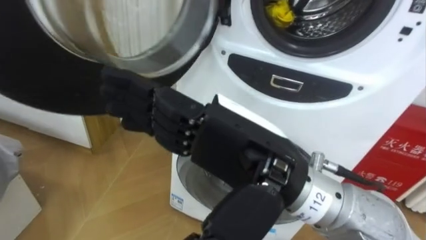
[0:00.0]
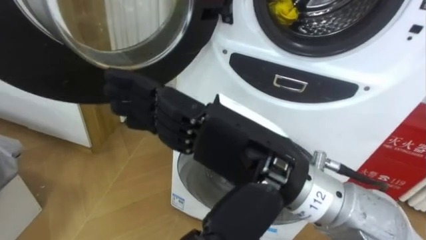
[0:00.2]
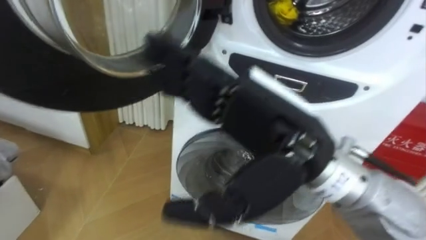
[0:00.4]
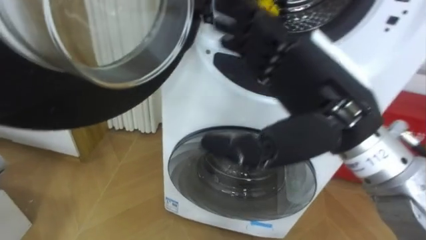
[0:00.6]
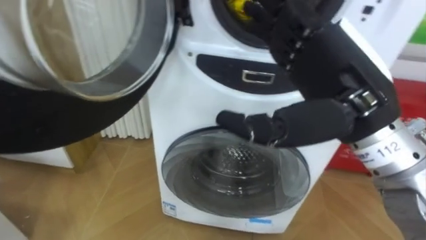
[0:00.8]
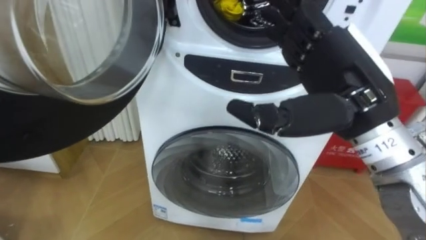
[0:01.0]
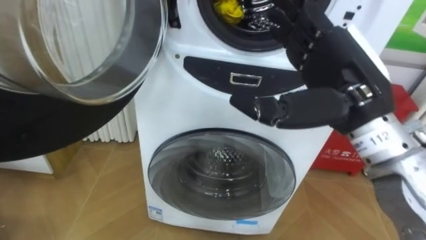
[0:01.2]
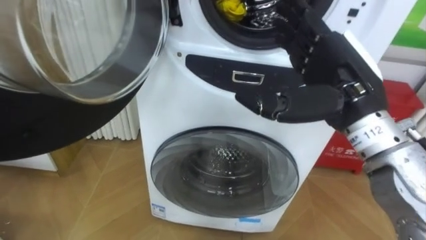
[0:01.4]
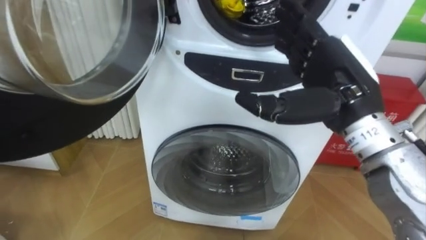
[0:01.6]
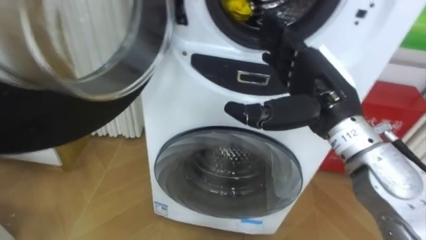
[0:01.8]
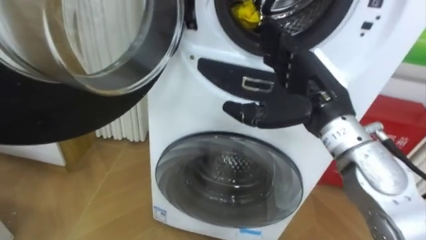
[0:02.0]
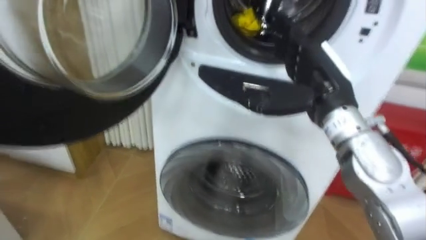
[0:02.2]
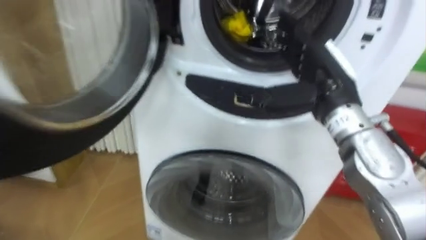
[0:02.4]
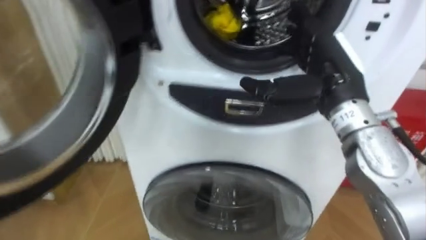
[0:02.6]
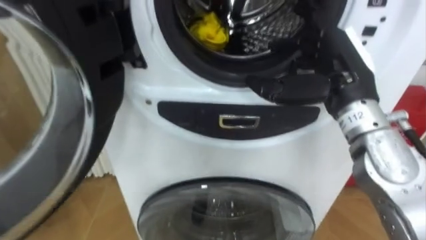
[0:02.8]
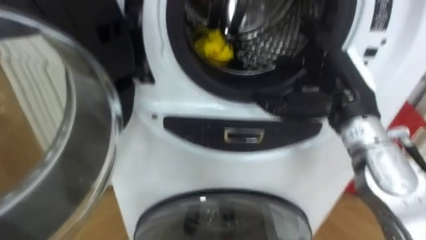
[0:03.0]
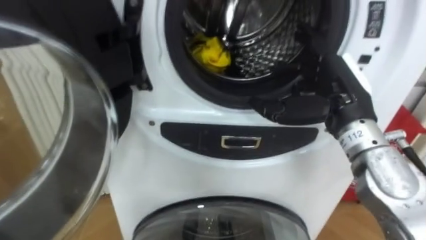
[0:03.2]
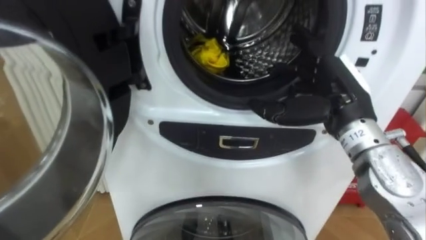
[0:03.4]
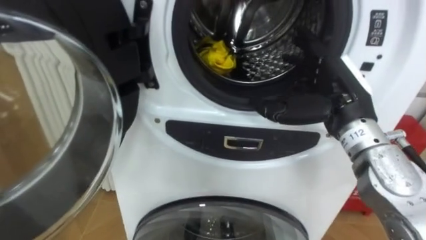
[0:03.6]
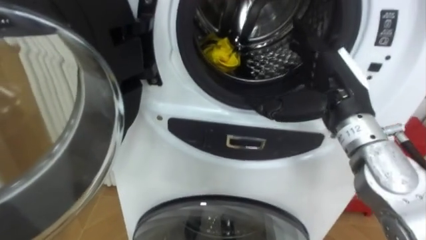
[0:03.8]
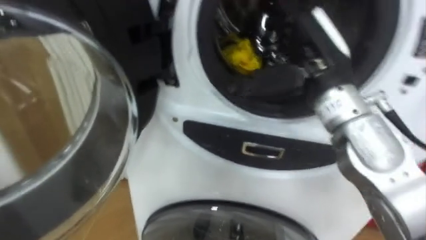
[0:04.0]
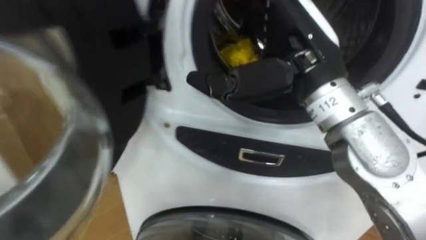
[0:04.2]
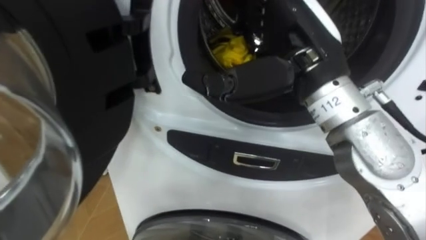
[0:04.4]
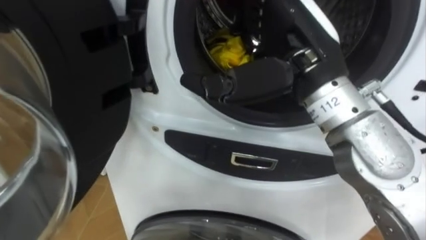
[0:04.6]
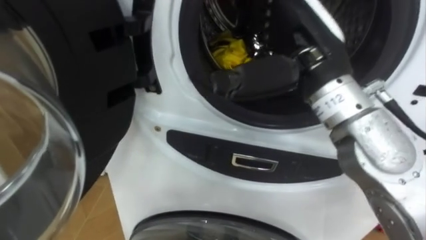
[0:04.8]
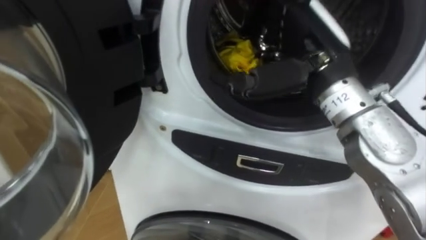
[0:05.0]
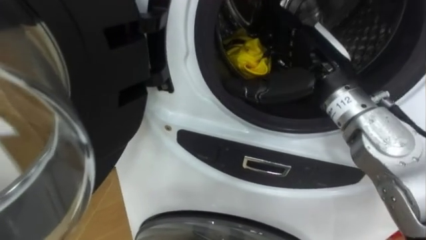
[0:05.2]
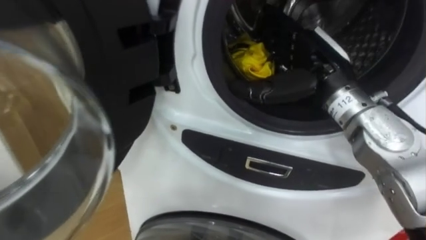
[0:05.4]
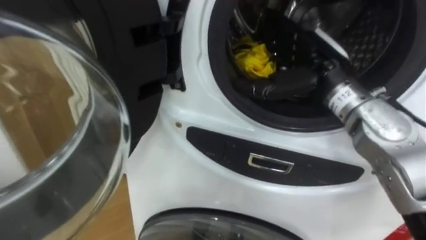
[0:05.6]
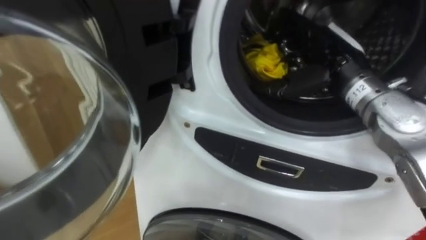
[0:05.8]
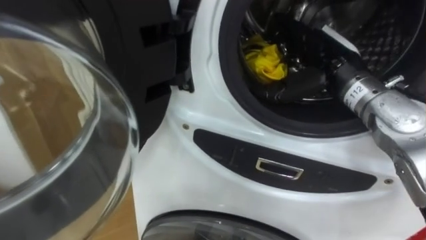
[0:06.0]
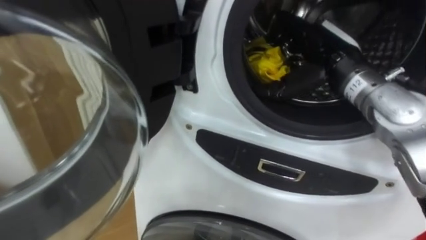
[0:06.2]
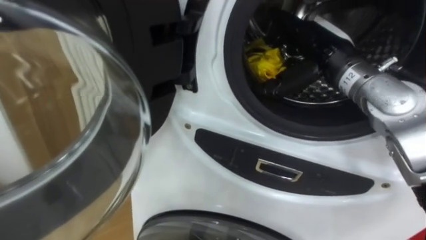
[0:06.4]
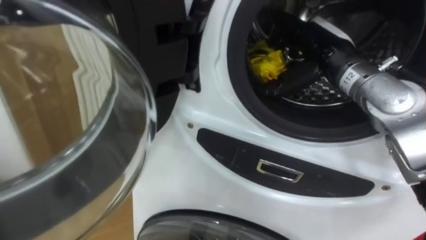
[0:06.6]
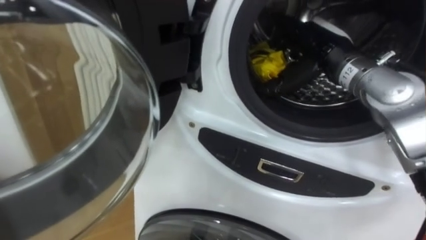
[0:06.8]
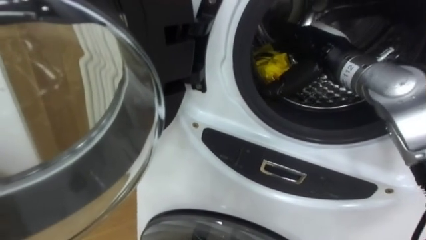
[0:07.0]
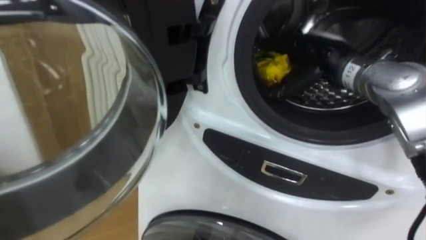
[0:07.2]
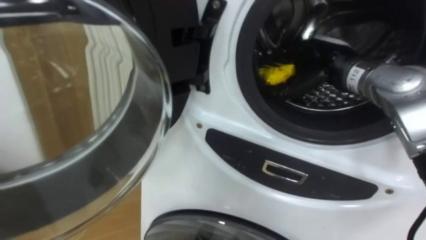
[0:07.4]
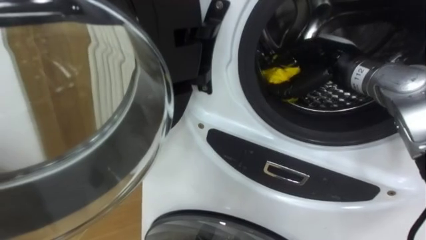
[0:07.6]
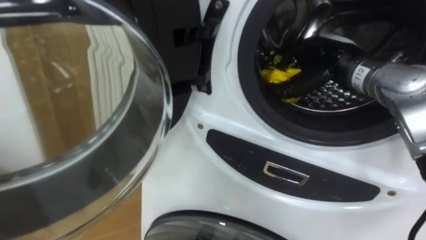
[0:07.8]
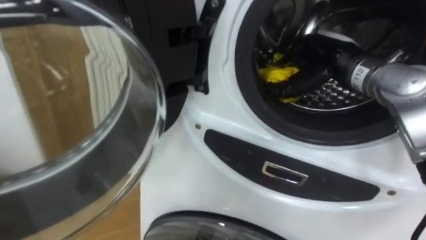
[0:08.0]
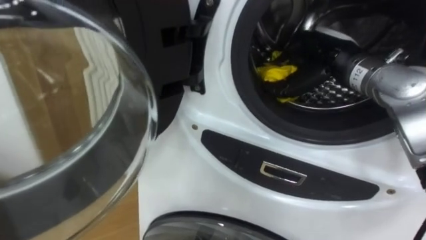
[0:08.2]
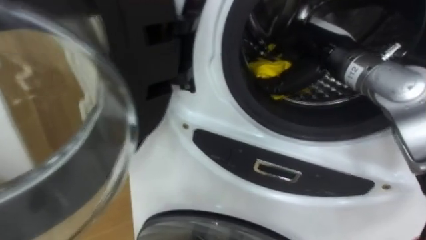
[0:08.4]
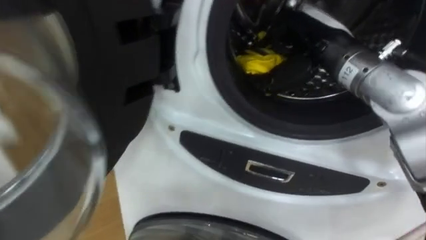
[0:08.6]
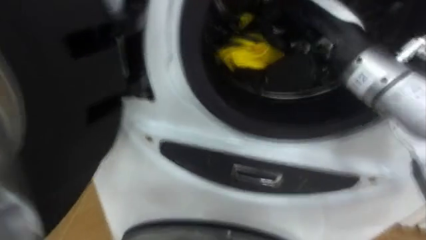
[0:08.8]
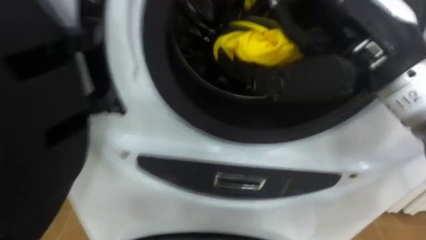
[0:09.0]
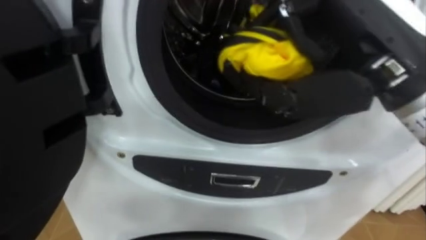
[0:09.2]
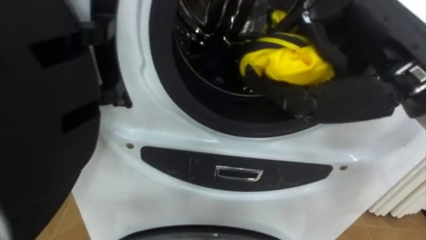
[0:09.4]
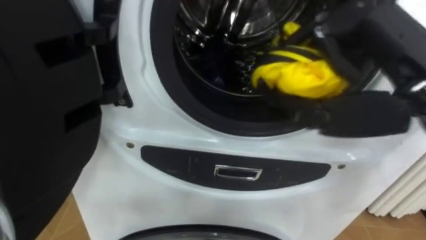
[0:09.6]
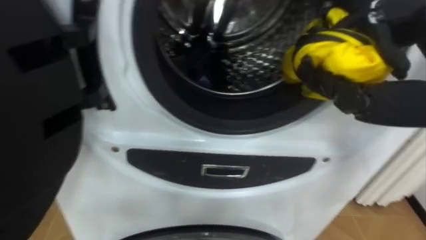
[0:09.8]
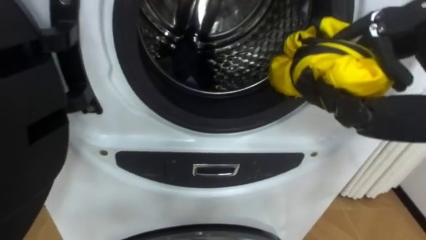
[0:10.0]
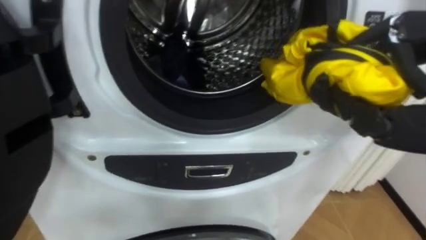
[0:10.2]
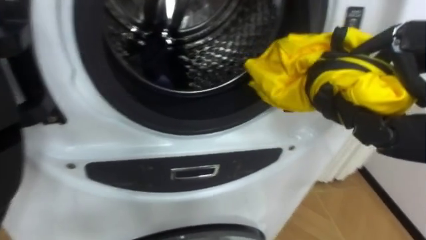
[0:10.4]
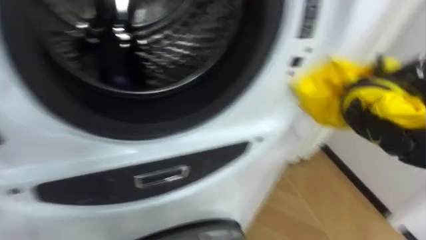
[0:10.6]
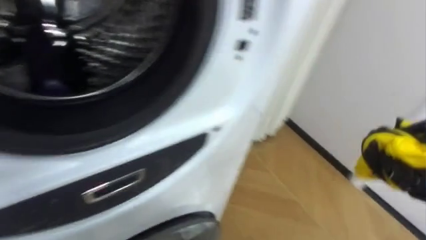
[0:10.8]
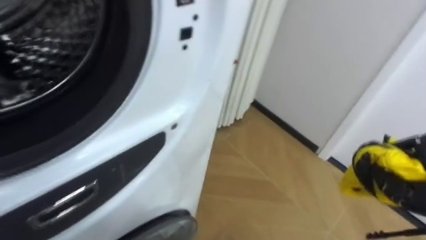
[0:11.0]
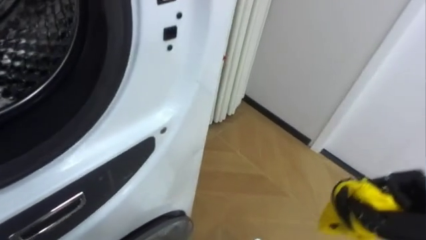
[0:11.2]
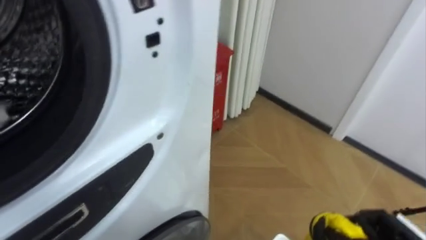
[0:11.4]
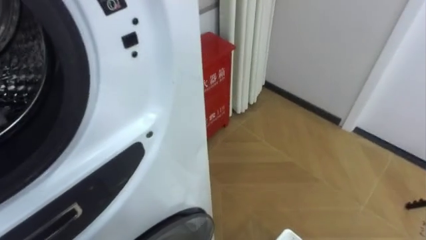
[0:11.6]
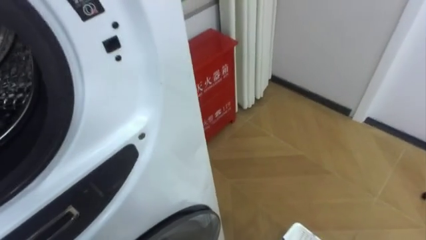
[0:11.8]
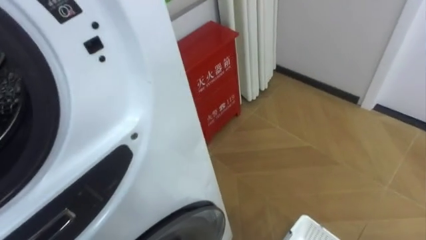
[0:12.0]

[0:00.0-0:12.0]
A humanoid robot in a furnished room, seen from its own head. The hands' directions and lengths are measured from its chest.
Task of the whole recording: Open the washing machine door, take out the yellow clothes, place them in the box on the right, and close the washing machine door.
0:00.0 to 0:01.6: The right hand travels to the right and forward by approximately 15 cm.
0:03.0 to 0:04.4: The right hand shifts about 15 cm to the left and upward.
0:04.4 to 0:06.0: The right hand is displaced forward, to the right and downward by about 15 cm.
0:06.0 to 0:07.6: The right hand changes place by about 5 cm, and closes its fingers.
0:07.6 to 0:09.0: The right hand goes roughly 20 cm backward and upward.
0:10.4 to 0:12.0: The robot's body swings approximately 25 degrees to its right.

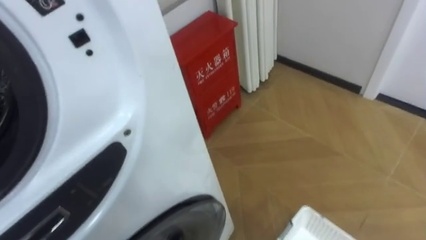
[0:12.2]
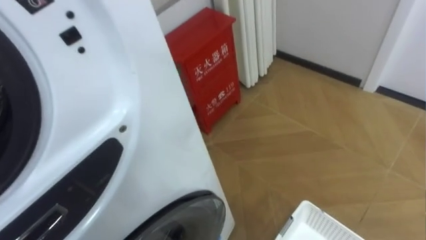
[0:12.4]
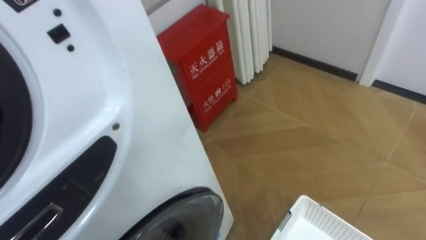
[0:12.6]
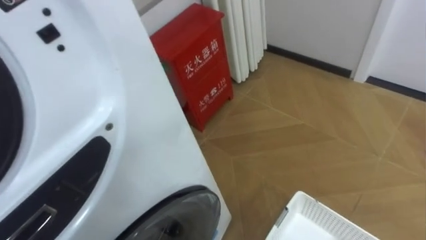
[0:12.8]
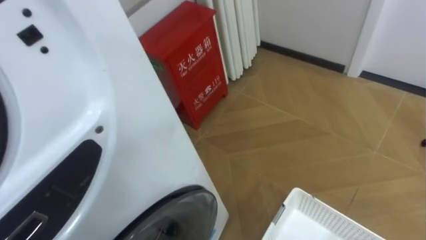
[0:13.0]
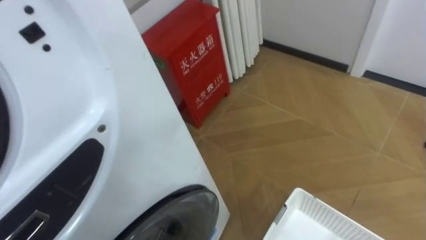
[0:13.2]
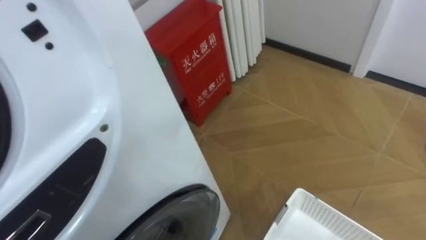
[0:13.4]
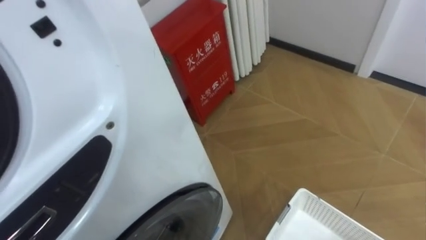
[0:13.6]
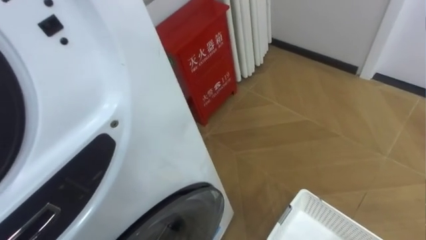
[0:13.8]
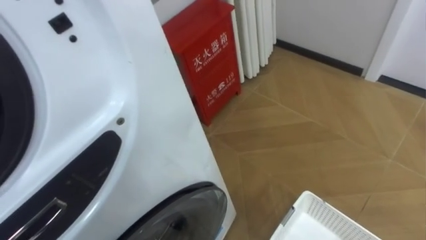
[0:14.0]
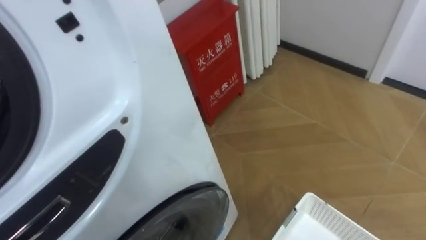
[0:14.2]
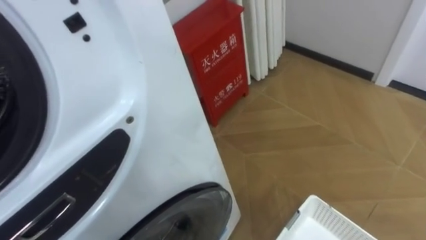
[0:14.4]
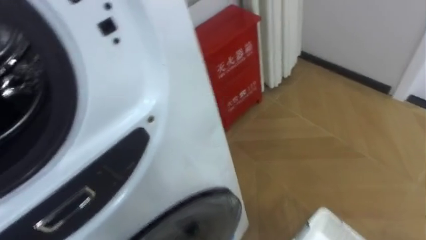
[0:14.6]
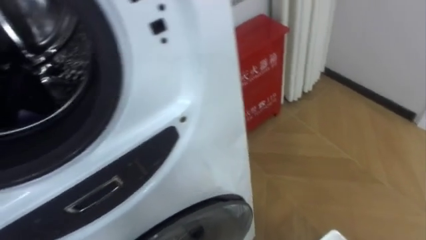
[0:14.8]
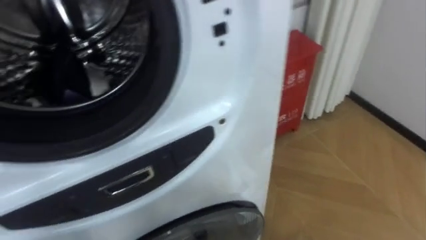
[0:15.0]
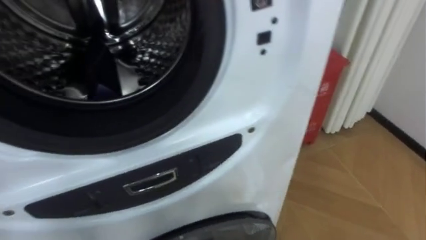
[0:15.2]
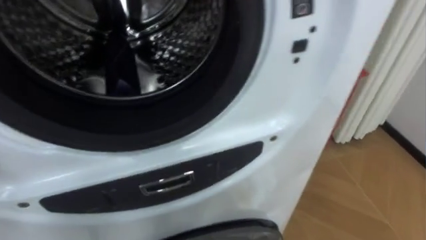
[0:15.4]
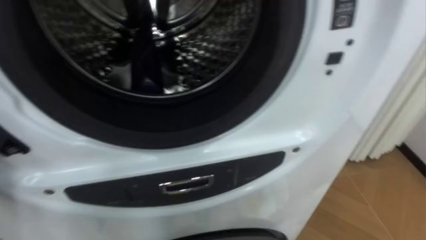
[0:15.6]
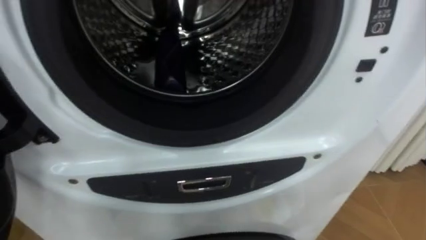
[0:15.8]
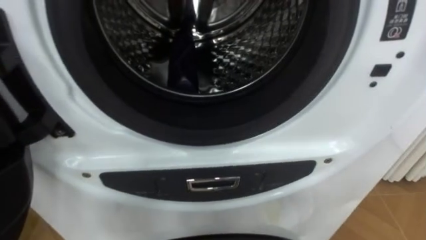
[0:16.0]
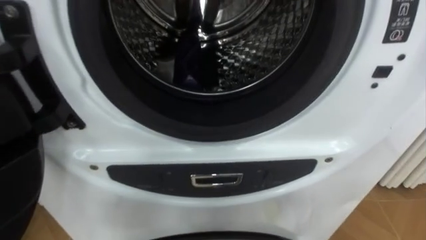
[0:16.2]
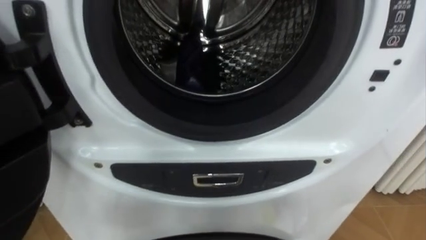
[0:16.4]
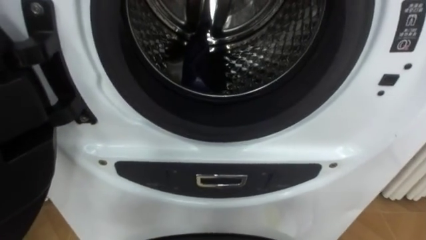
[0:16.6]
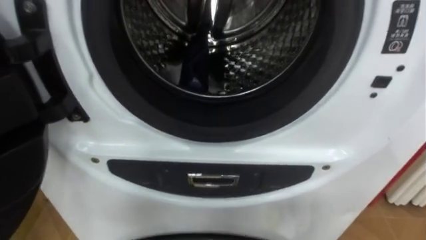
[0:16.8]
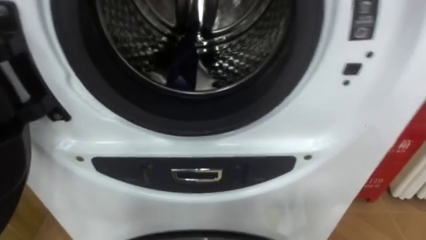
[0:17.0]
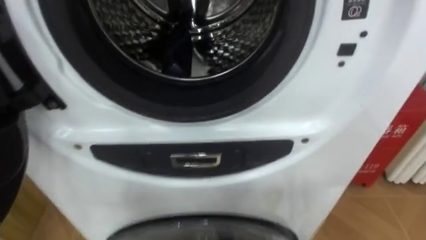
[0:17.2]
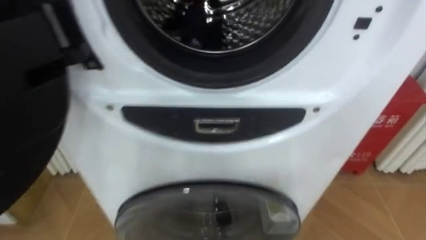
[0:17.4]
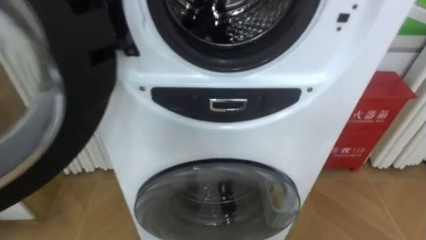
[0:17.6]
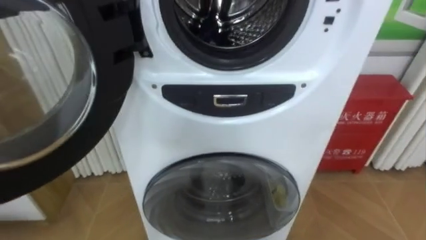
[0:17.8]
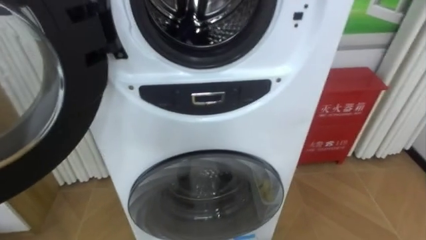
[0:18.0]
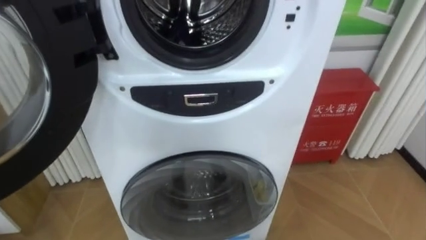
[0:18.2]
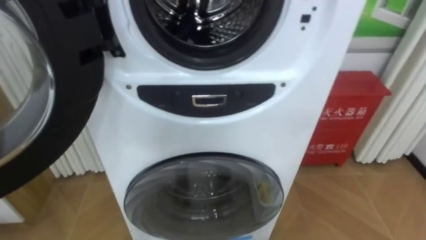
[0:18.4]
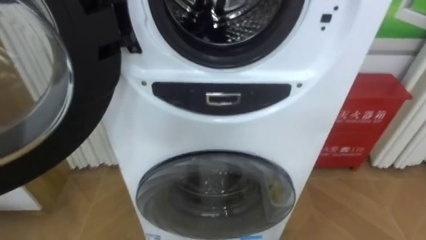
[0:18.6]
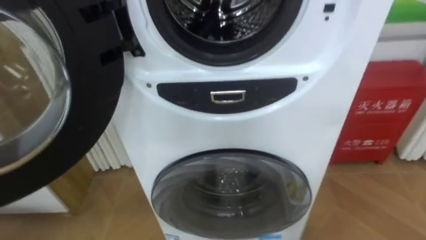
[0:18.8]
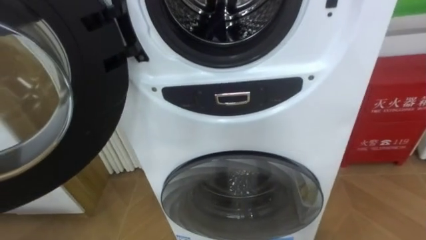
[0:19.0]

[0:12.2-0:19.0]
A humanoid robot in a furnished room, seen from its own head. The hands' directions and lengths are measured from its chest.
Task of the whole recording: Open the washing machine door, take out the yellow clothes, place them in the box on the right, and close the washing machine door.
0:13.6 to 0:15.0: The robot's body swings roughly 20 degrees to its left.
